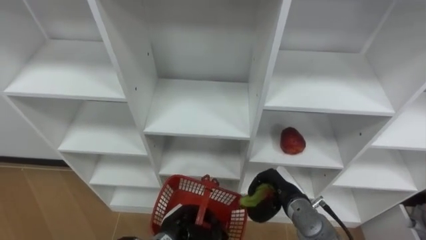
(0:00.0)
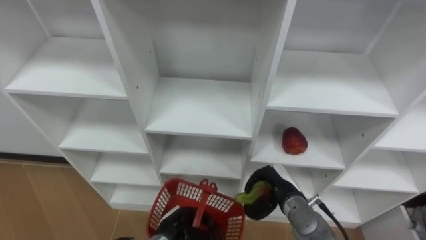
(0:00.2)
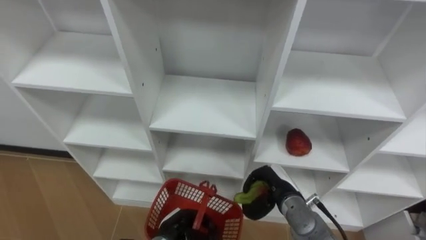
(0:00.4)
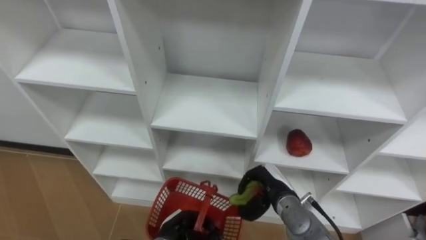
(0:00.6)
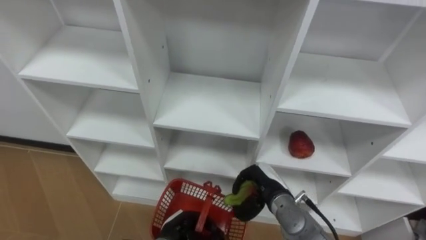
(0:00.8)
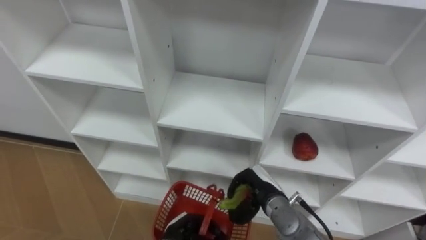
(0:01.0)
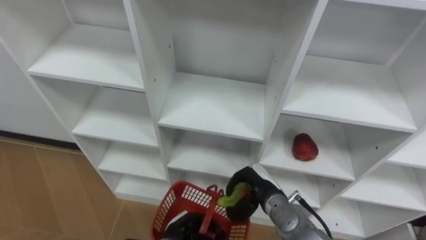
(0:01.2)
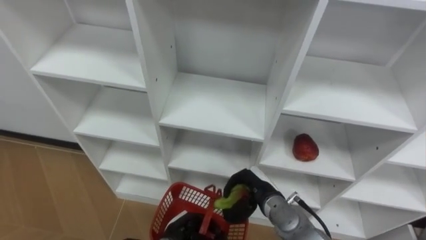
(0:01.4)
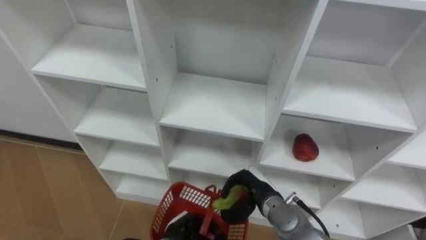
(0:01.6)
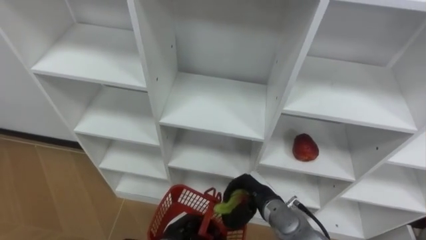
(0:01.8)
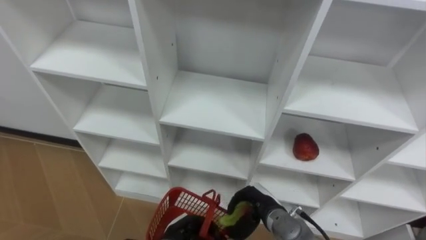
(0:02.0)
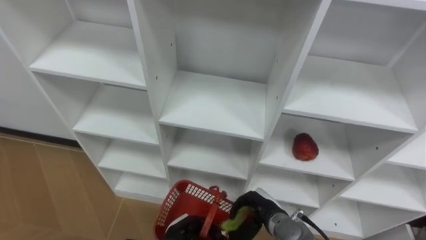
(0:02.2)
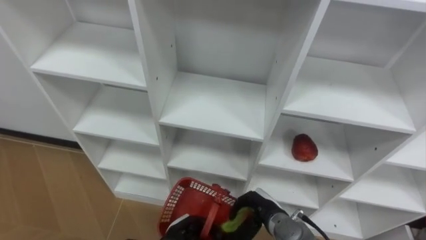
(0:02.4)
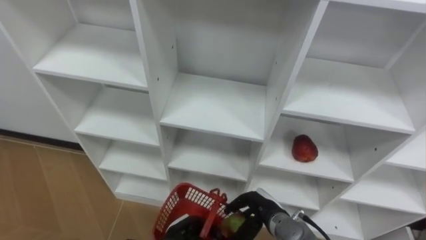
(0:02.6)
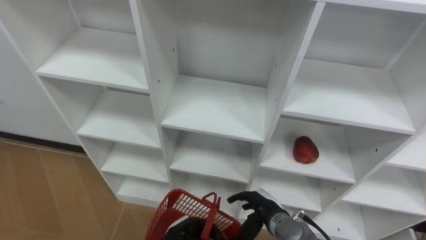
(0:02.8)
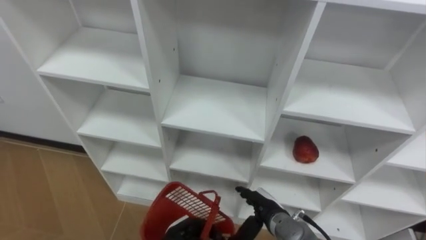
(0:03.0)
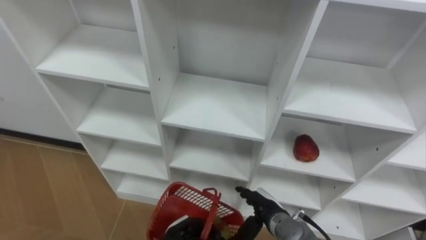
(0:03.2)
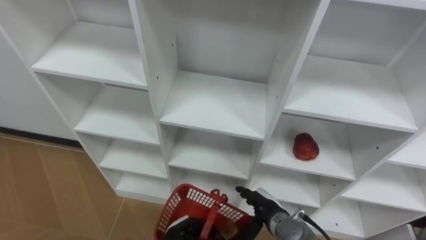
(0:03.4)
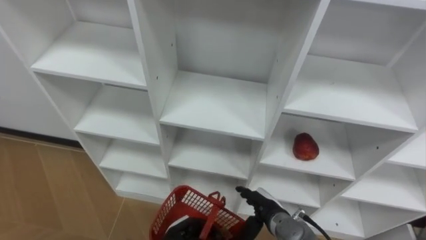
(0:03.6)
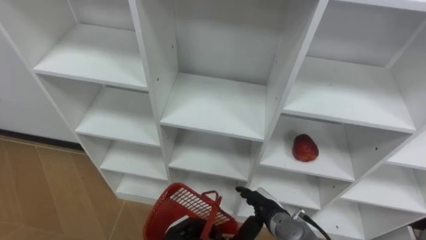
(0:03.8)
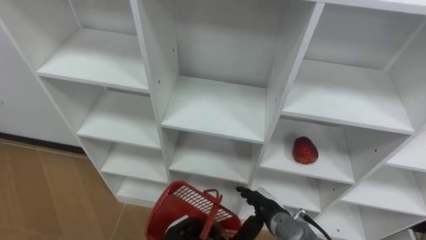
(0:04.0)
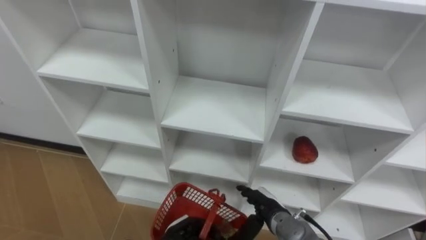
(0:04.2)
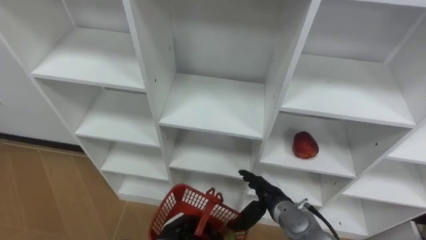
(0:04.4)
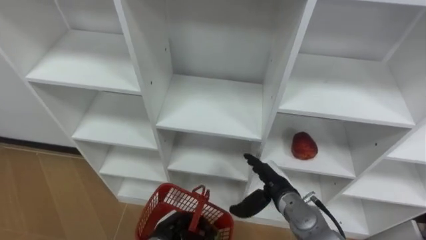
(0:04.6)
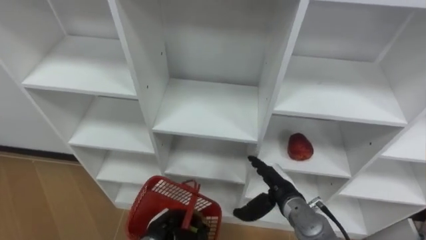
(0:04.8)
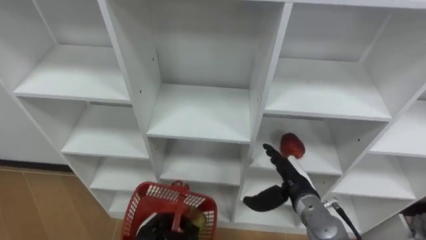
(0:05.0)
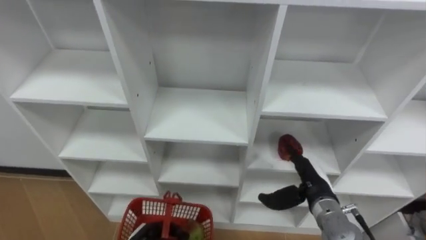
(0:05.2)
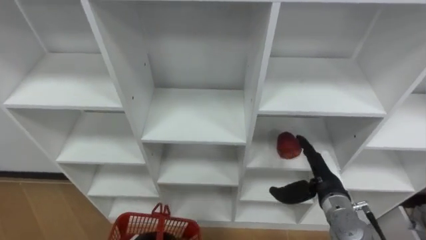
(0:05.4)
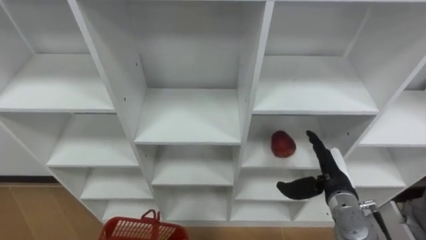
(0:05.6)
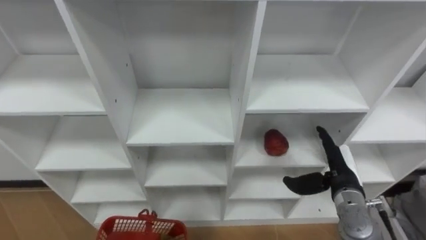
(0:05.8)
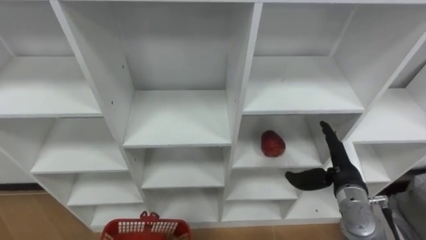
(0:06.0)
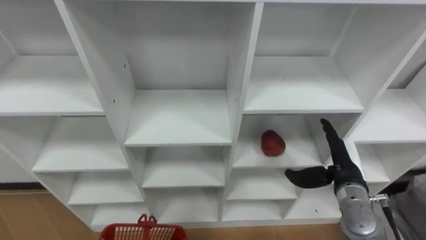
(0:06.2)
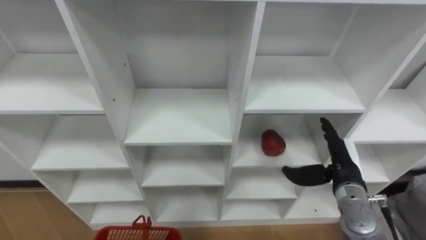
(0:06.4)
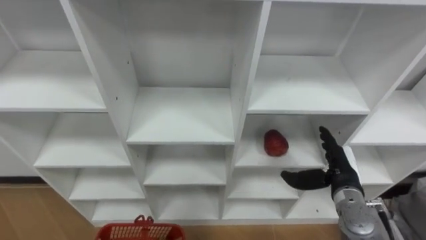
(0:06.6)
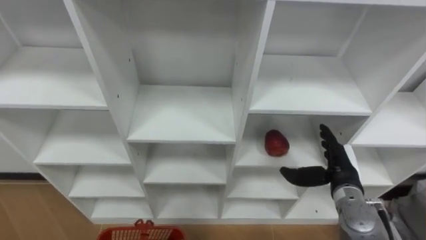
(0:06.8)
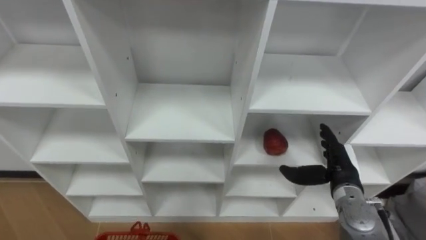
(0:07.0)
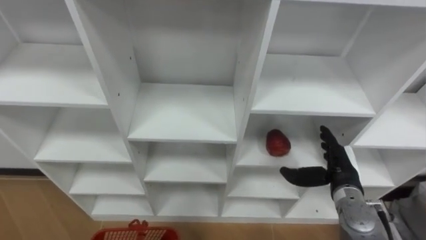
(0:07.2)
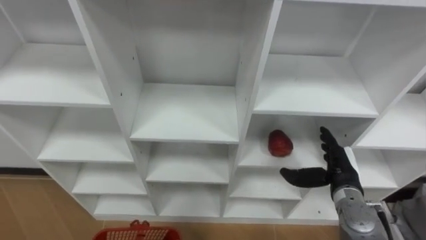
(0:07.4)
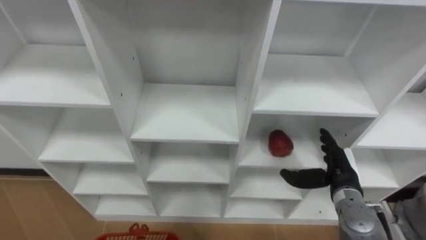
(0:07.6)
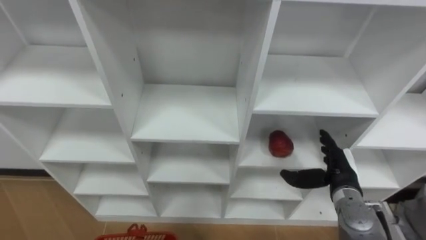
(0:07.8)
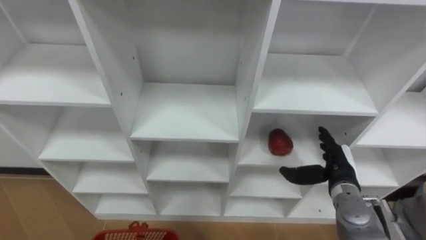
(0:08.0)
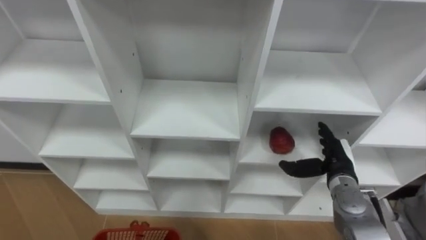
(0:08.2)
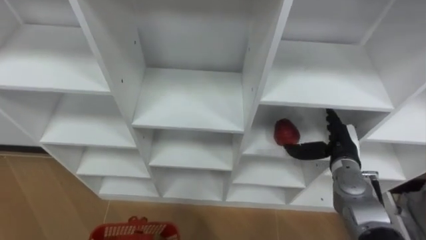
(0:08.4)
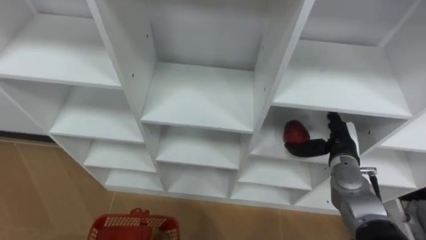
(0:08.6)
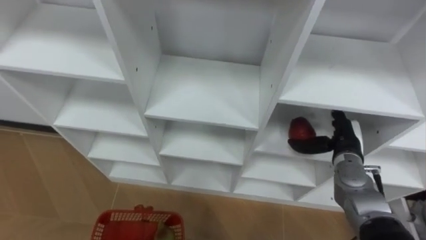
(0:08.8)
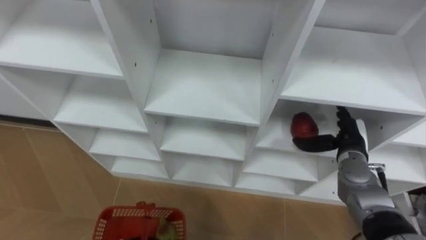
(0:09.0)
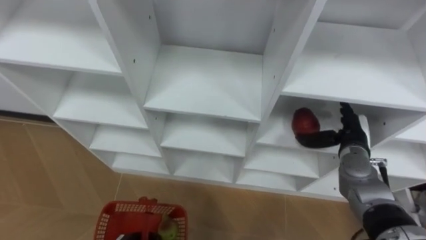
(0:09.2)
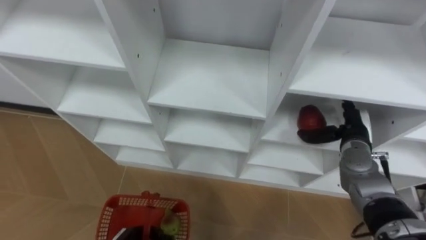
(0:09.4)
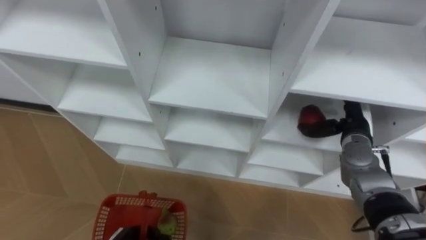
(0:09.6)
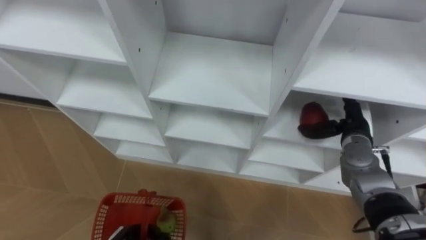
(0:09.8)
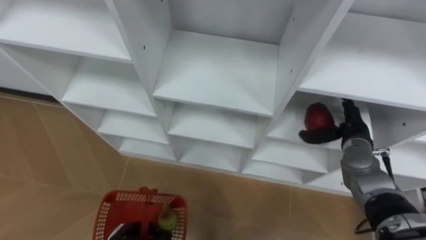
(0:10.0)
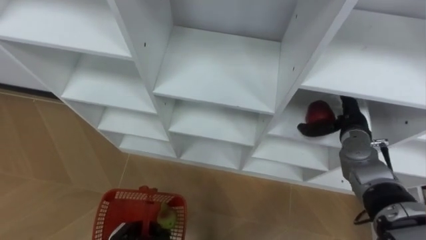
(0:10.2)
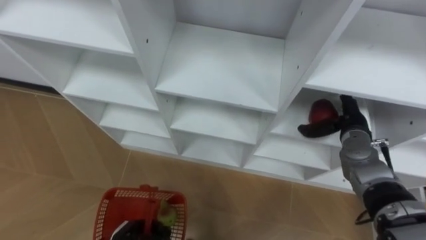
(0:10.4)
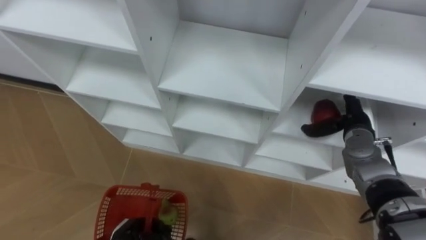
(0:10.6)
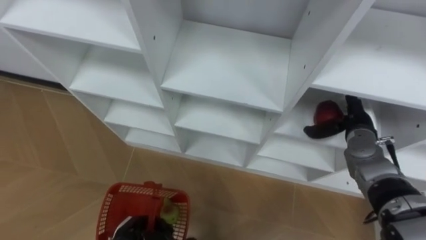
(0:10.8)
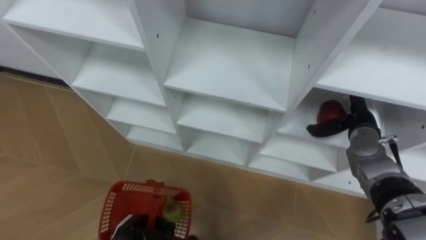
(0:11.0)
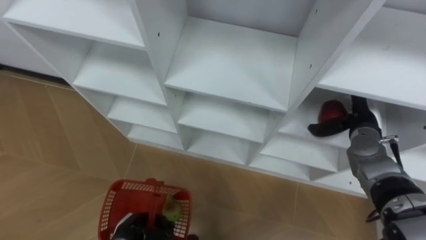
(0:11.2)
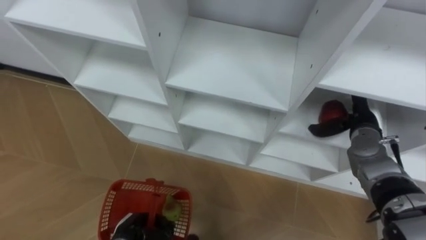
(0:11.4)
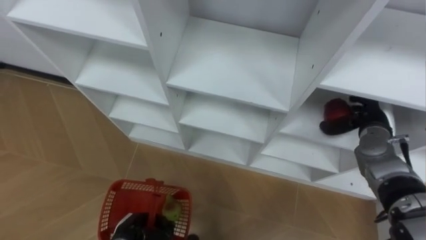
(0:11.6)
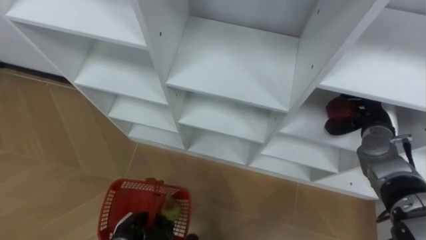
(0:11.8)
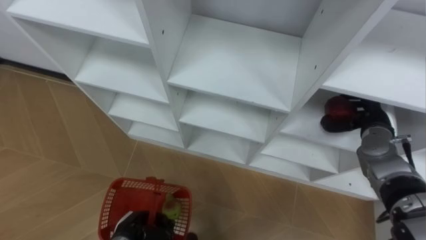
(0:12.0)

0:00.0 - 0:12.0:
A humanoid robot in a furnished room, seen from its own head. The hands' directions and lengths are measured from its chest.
Task of the whole recording: Hold the basket and collect the fruits from 3 different cells of the closet into it.
0:00.0 - 0:01.6: The right hand travels to the left by about 5 cm.
0:01.6 - 0:03.0: The right hand changes place by some 5 cm, and opens up.
0:04.4 - 0:06.0: The right hand shifts roughly 15 cm to the right and upward.
0:07.6 - 0:09.0: The right hand is displaced forward by approximately 5 cm.
0:10.4 - 0:12.0: The right hand closes up.

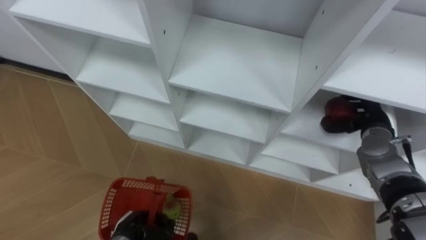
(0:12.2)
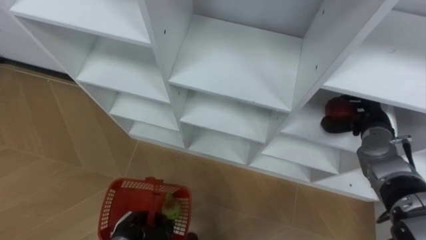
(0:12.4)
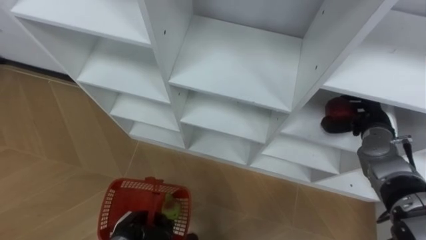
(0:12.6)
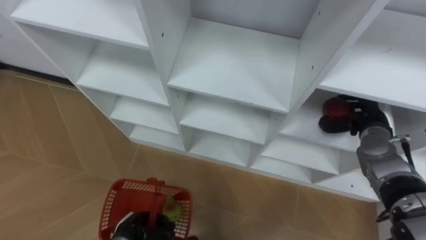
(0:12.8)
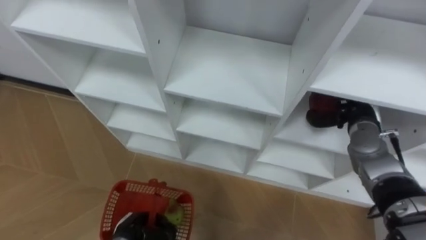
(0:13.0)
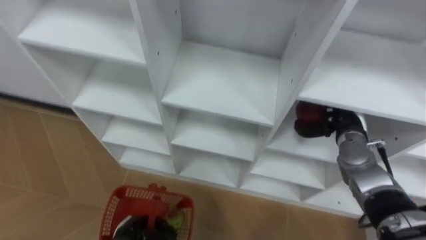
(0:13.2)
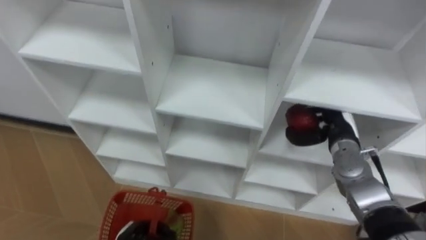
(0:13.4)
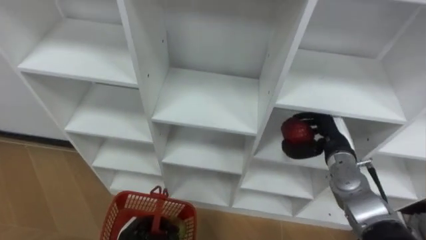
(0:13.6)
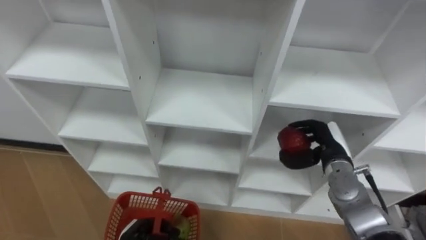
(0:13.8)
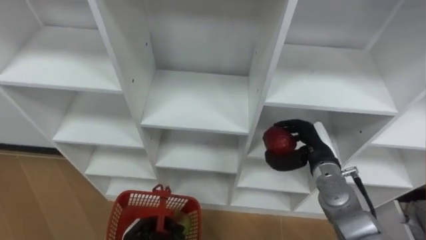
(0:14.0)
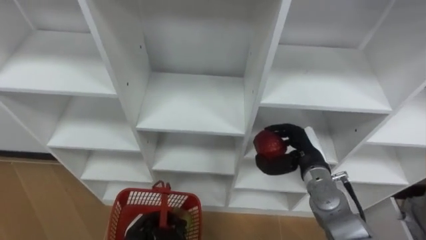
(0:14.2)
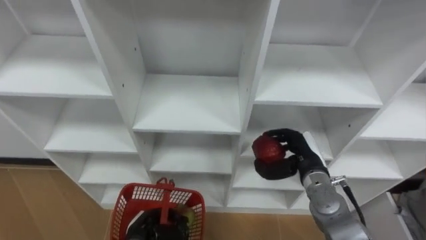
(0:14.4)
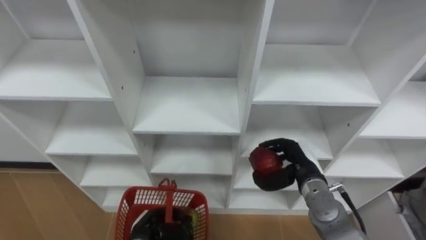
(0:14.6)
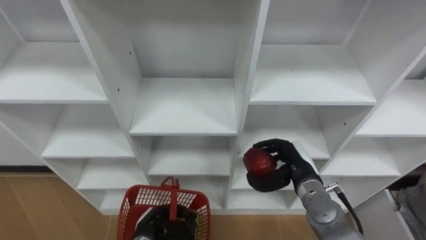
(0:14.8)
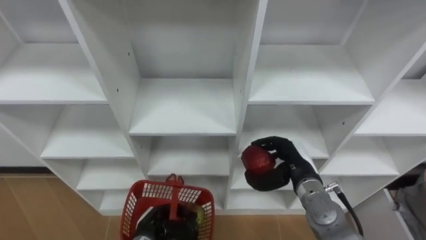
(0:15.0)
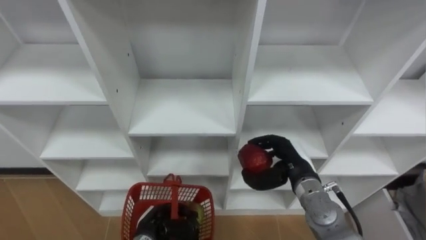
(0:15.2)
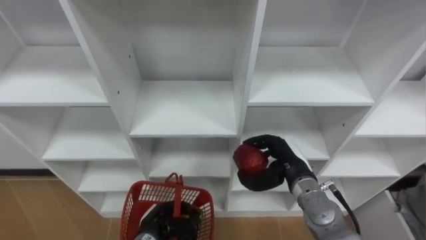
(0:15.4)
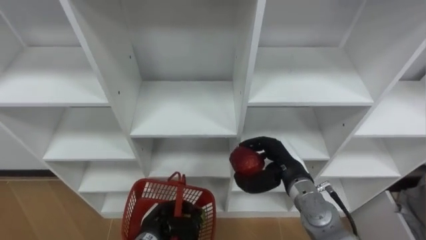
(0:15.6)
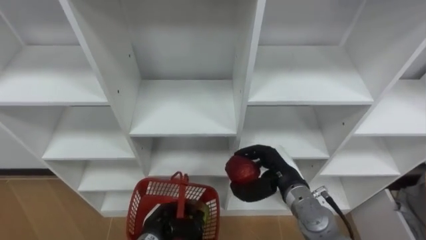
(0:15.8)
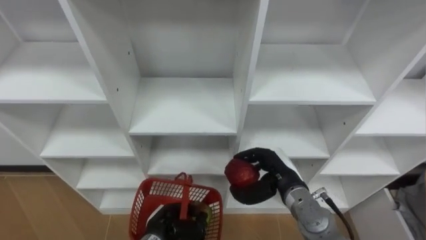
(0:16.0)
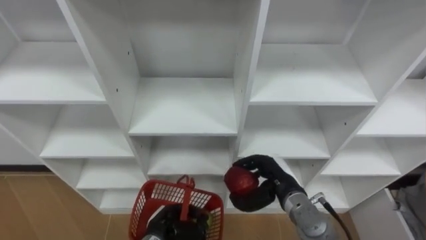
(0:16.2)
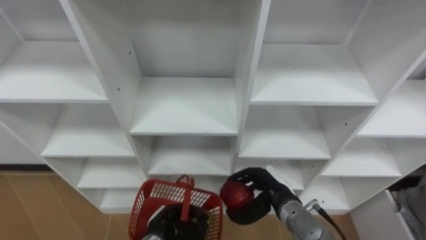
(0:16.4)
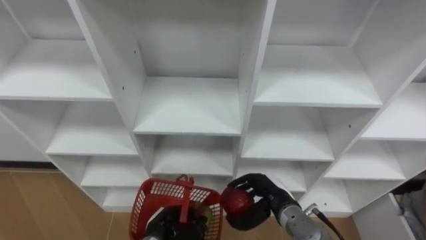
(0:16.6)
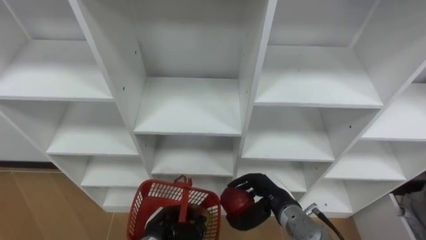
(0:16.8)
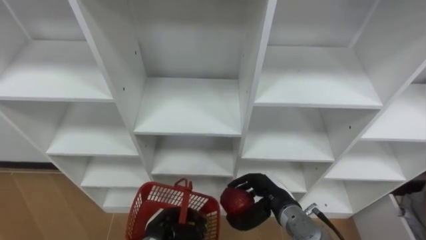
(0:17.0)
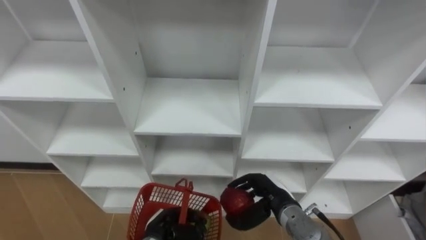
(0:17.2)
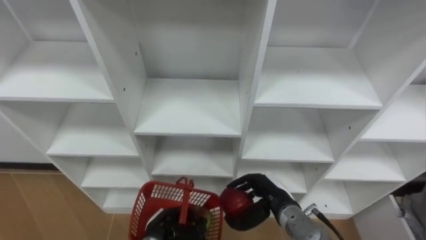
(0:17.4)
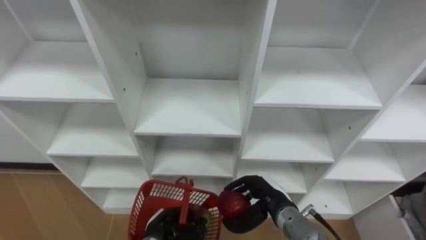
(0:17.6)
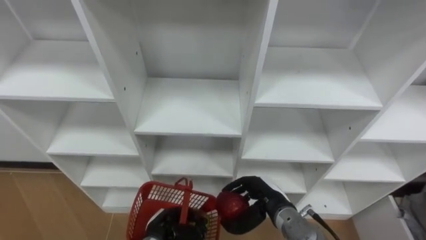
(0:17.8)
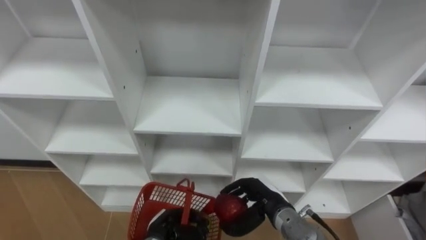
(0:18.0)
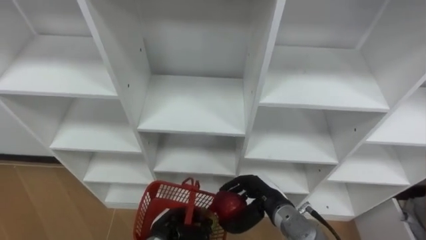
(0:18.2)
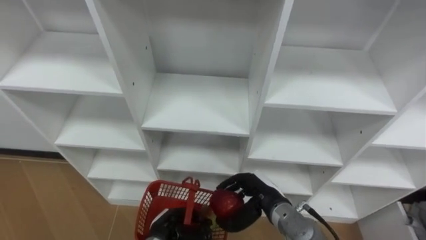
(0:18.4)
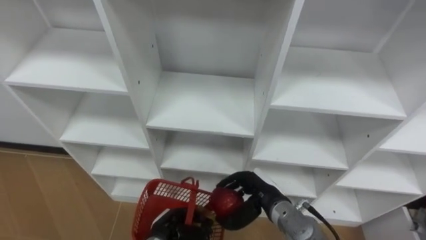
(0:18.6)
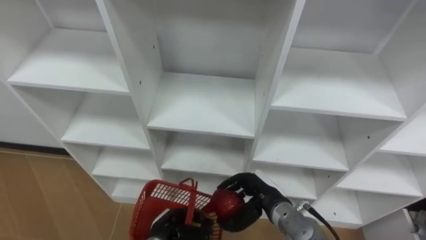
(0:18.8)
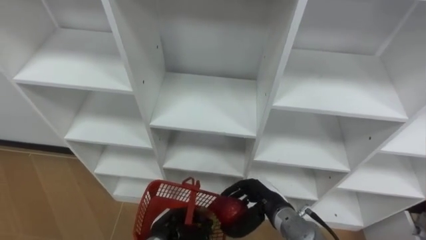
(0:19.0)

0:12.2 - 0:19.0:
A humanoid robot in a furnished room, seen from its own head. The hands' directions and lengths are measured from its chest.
Task of the whole recording: Hold the basket and collect the fruits from 3 different cells of the closet into it.
0:12.2 - 0:13.6: The right hand travels to the left by approximately 10 cm.
0:13.6 - 0:15.0: The right hand goes some 10 cm to the left.
0:15.0 - 0:16.2: The hands make only small movements.
0:16.2 - 0:17.6: The hands make only small movements.
